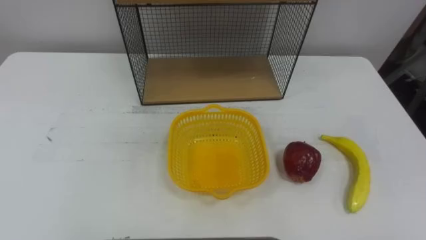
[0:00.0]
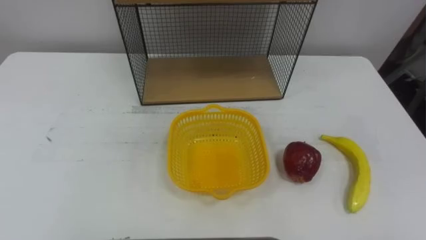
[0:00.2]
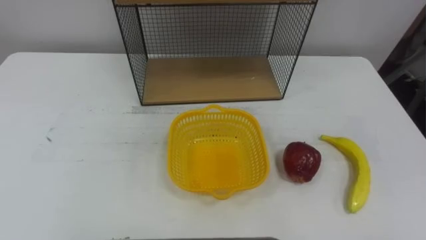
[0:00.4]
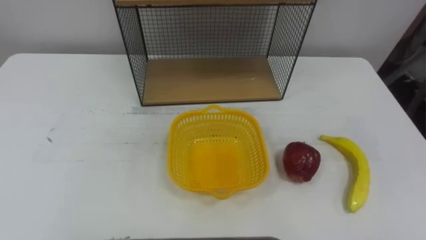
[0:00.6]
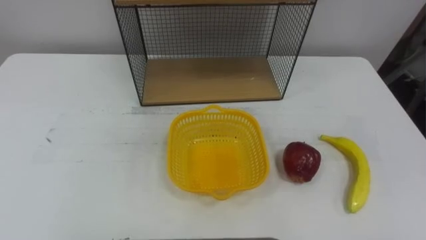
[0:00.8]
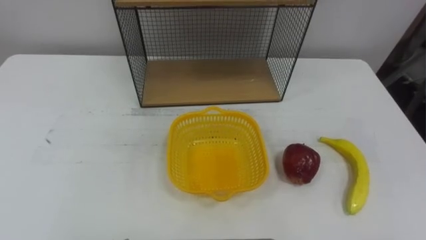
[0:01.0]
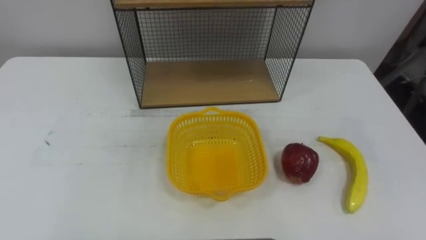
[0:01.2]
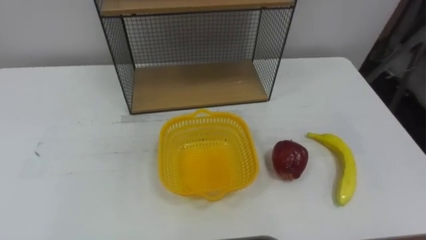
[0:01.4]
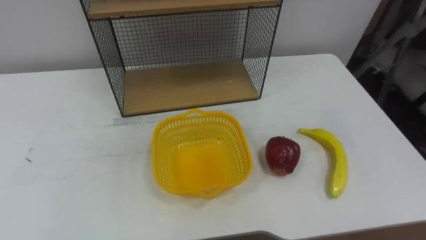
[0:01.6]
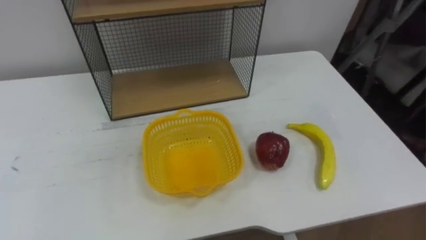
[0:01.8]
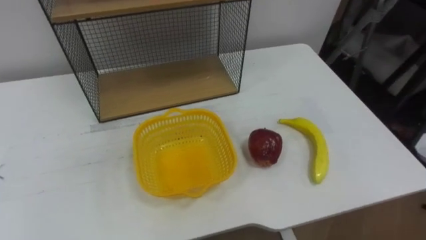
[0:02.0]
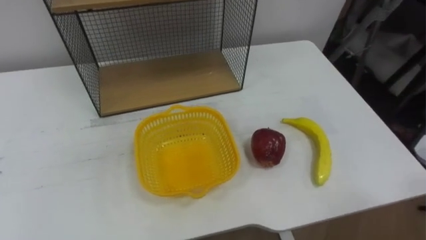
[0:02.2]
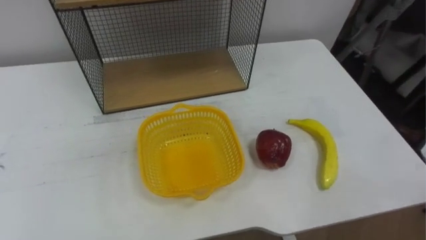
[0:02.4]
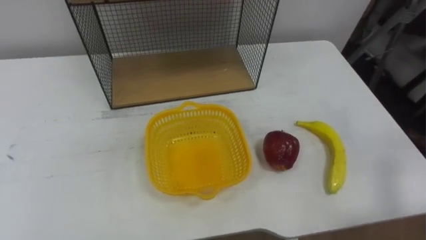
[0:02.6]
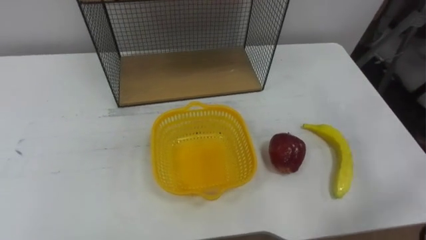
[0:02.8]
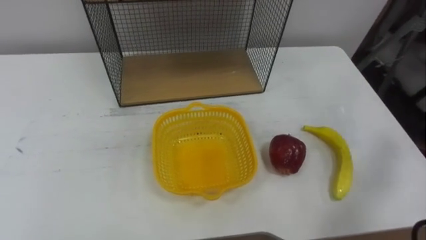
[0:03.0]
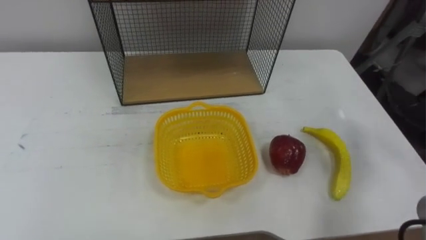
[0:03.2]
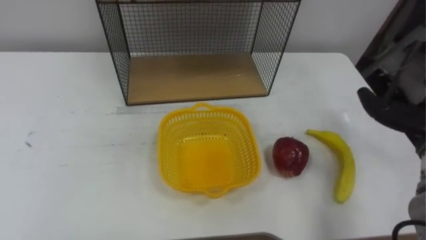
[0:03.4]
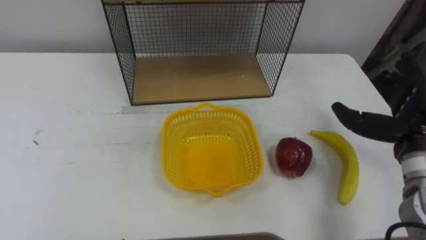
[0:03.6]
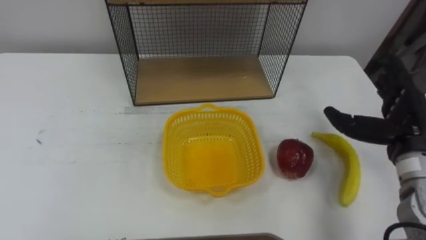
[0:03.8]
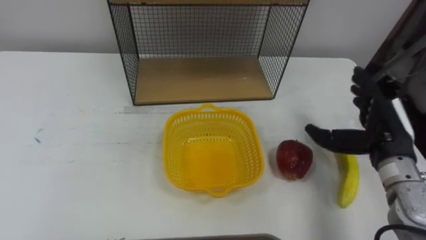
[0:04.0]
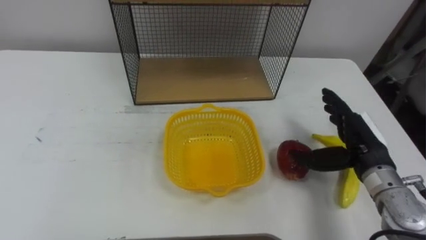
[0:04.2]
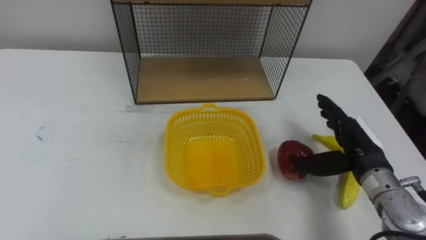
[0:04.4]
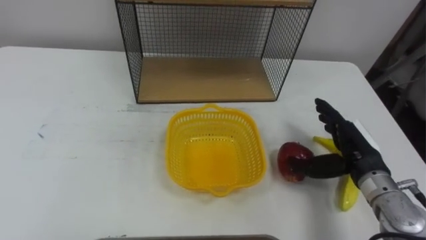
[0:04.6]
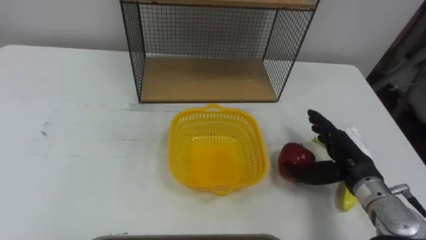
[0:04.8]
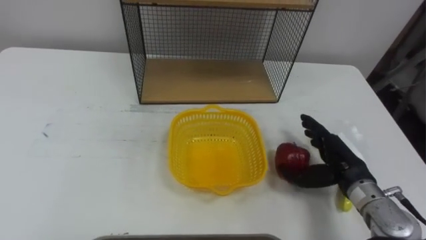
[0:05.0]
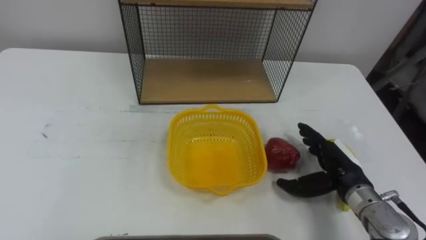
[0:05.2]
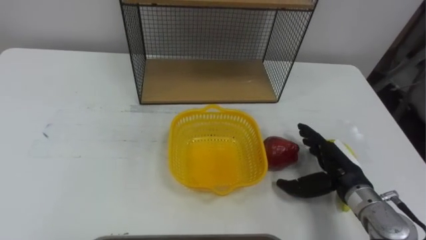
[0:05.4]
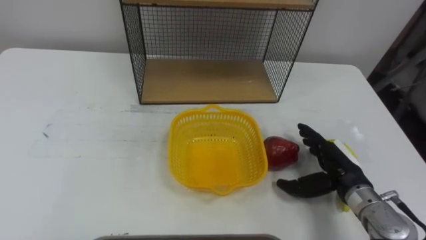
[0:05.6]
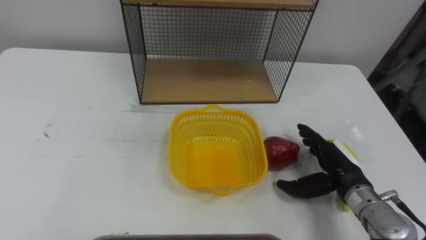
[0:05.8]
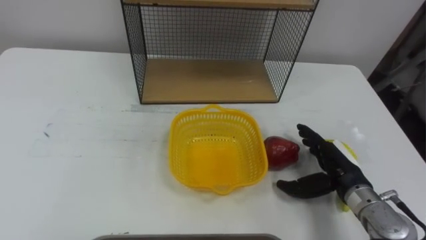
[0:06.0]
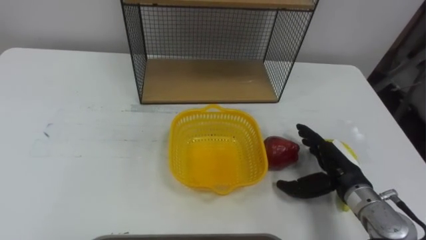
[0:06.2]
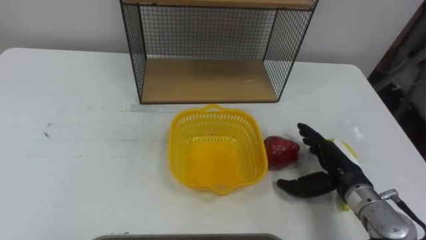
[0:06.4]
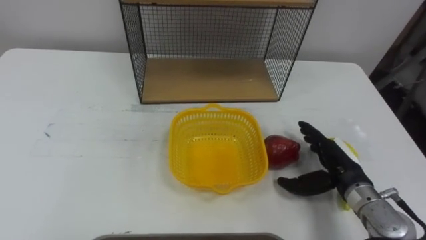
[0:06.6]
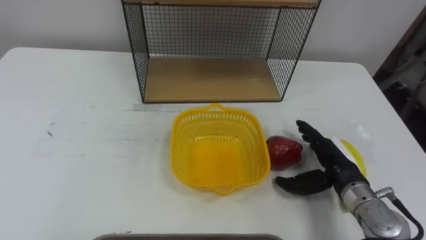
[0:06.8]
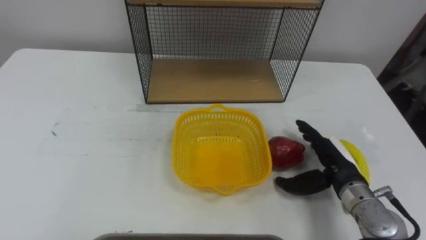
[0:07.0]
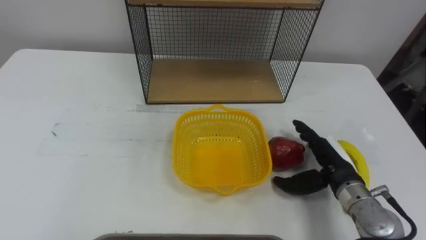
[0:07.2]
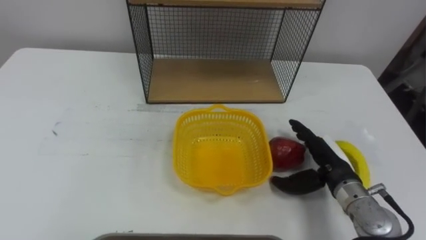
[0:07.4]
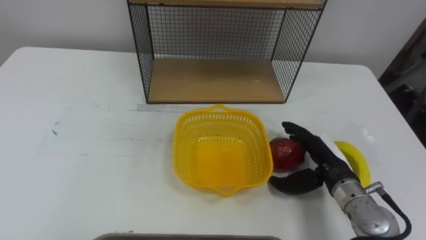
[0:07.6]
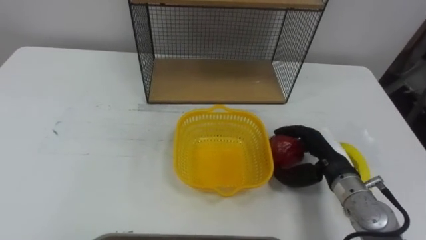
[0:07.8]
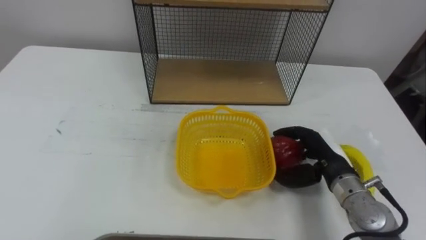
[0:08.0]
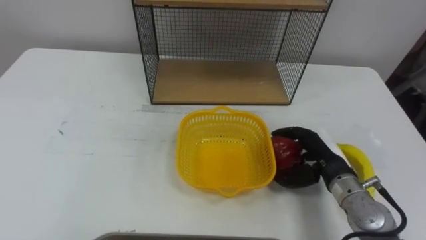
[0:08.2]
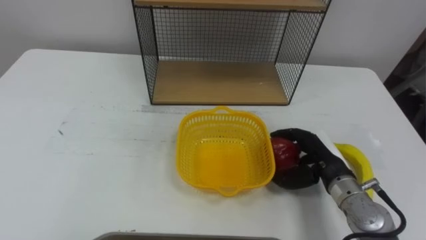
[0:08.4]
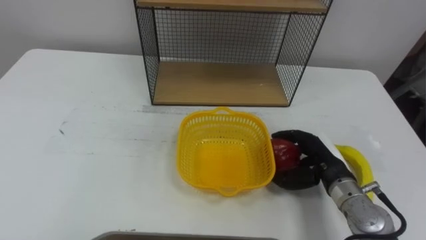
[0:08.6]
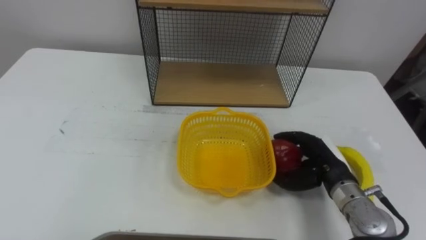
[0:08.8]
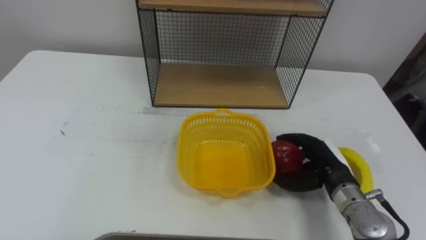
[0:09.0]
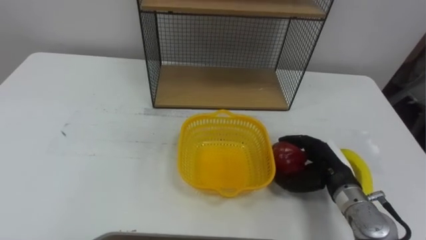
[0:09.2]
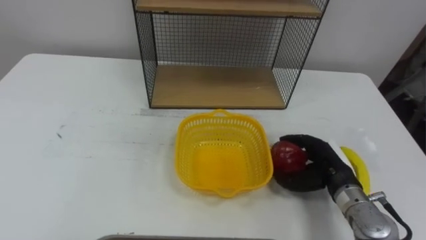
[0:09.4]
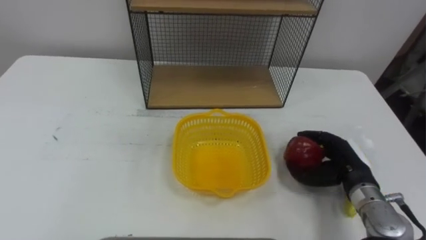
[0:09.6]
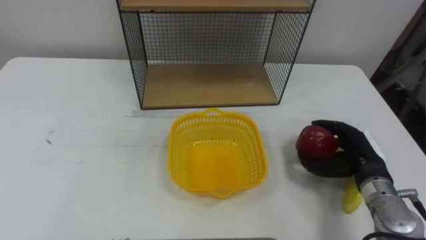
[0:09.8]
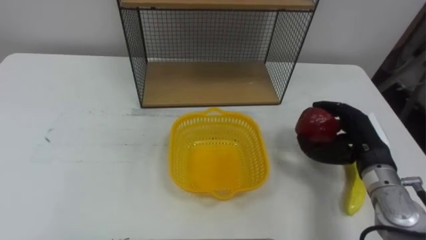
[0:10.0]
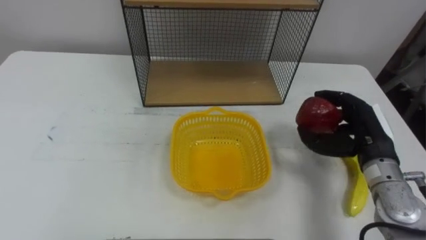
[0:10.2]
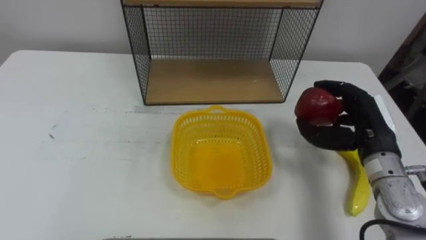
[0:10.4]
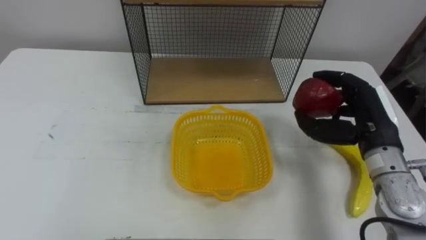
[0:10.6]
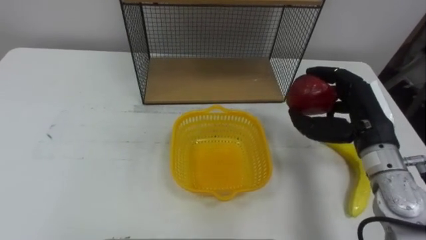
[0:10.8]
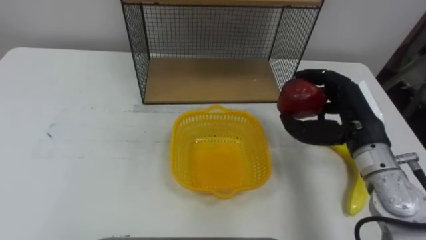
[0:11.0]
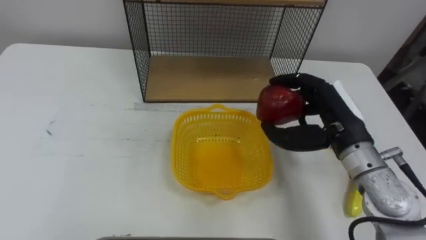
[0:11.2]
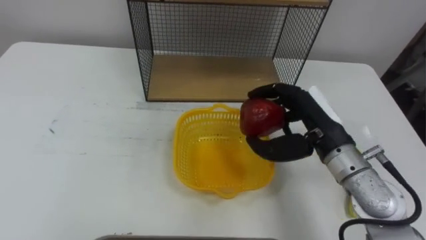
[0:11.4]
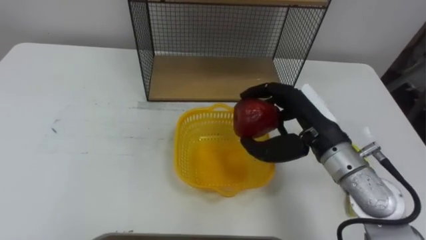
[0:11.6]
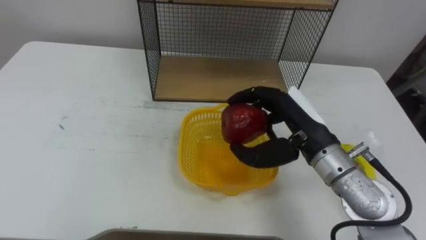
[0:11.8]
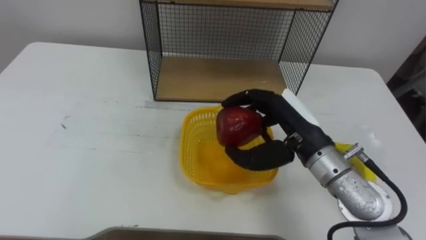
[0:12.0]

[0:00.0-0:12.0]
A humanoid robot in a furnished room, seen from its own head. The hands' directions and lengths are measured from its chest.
Task of the whole recording: Put the fruit on the table into the basket, then place the basket on the shelf.
0:04.4 to 0:06.0: The right hand moves downward, roughly 5 cm.
0:07.6 to 0:09.0: The right hand closes its fingers.
0:09.0 to 0:10.4: The right hand moves upward, approximately 10 cm.
0:10.4 to 0:12.0: The right hand is displaced to the left by some 15 cm.

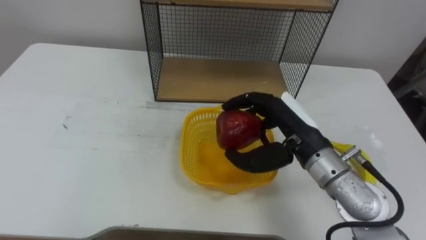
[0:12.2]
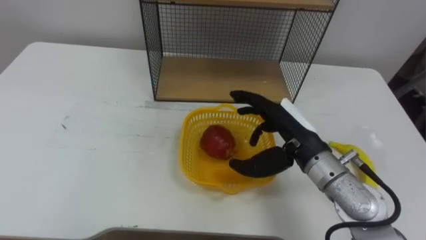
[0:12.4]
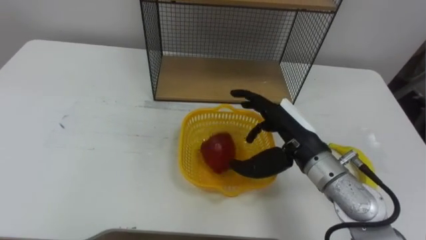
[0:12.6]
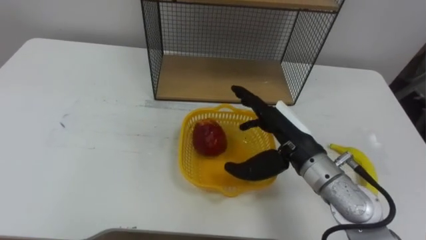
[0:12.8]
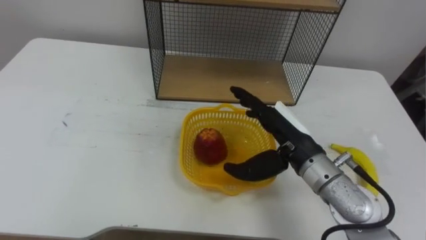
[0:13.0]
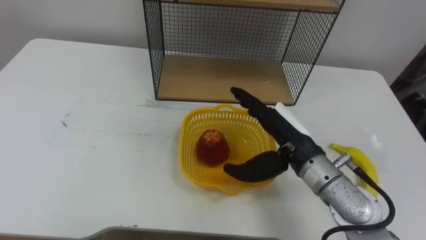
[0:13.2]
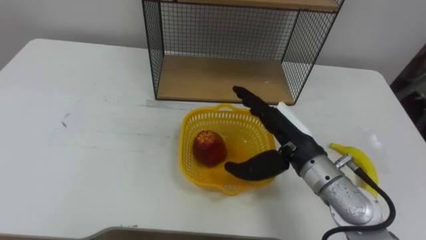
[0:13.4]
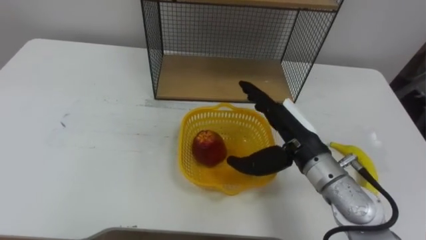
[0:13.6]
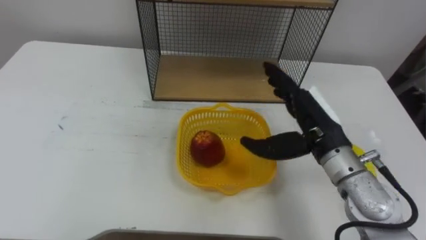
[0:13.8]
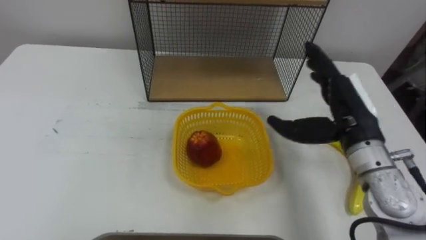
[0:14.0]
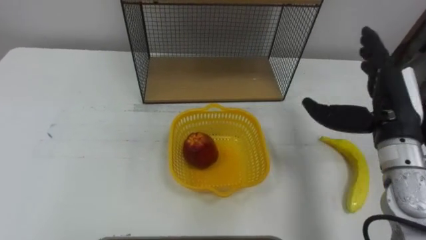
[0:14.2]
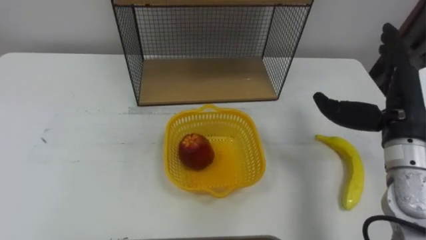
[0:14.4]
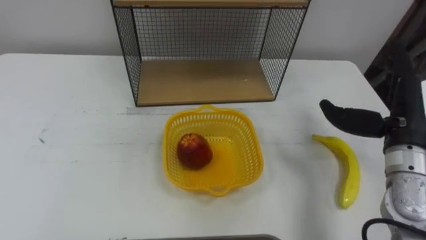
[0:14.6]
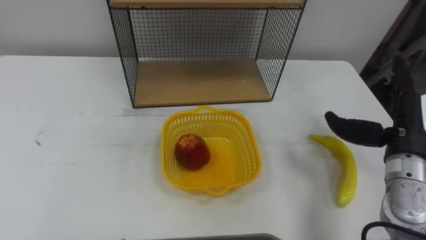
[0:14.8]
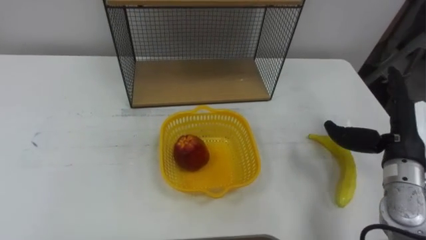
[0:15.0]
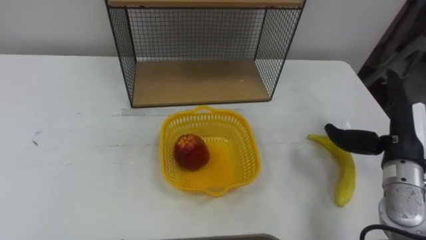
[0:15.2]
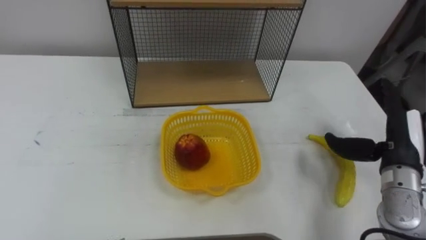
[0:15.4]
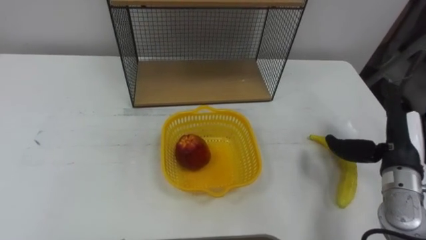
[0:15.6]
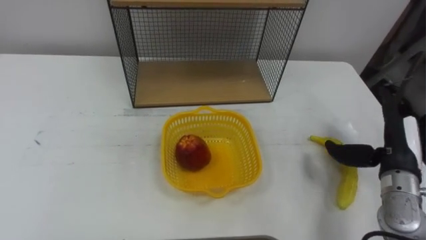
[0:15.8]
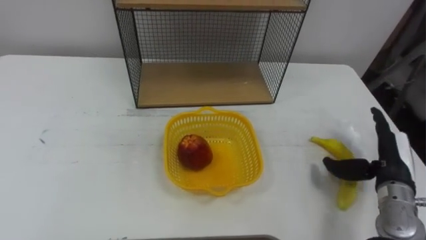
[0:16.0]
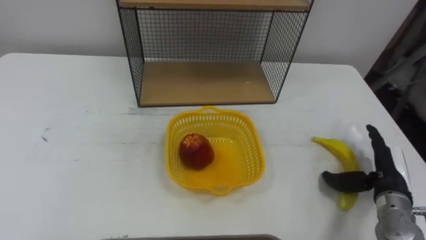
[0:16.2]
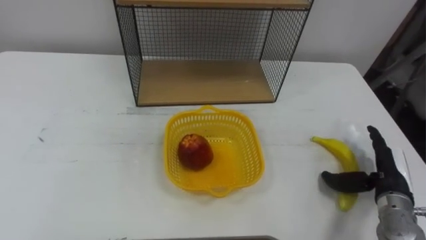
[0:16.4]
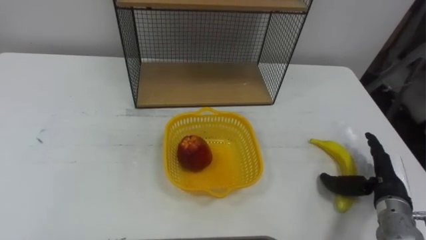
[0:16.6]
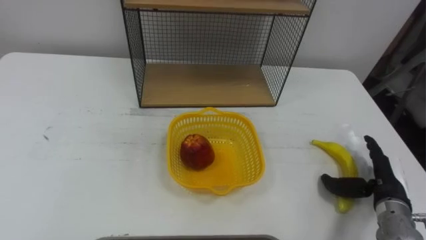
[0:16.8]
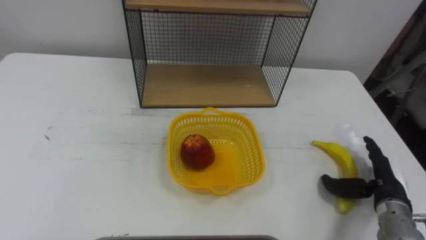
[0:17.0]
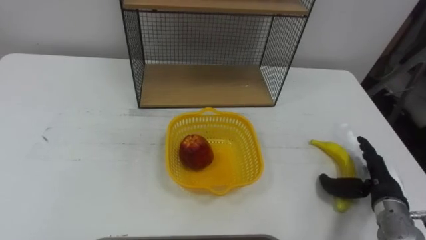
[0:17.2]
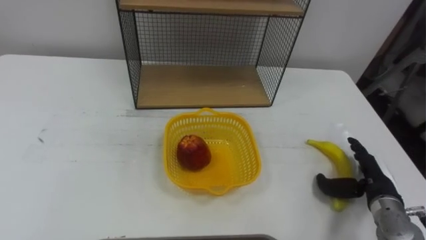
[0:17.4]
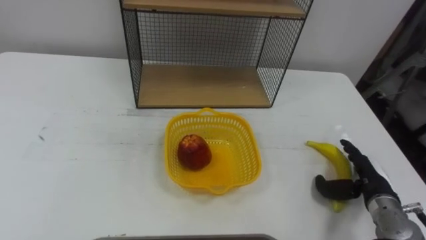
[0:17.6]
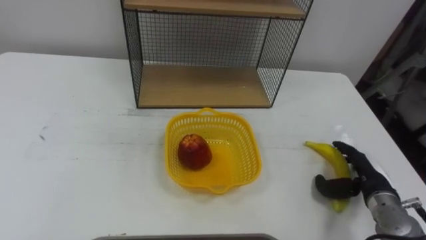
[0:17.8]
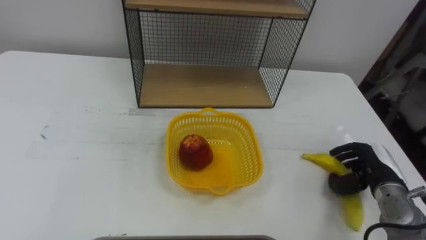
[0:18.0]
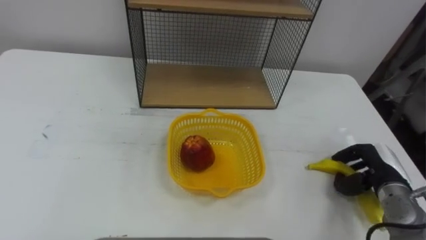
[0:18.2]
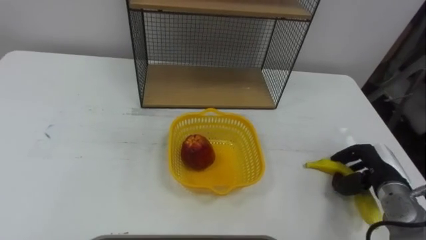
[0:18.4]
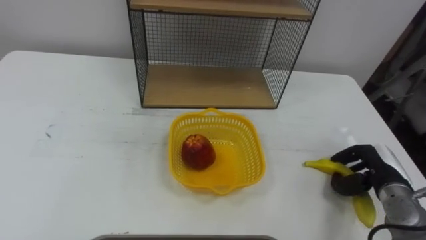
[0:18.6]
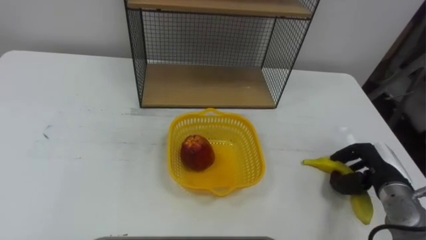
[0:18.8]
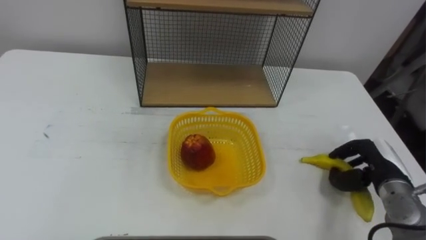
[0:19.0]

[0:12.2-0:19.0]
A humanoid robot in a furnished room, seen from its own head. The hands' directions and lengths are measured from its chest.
Task of the whole recording: Put the fruit on the table into the basket, then place the basket on the shelf.
0:12.2 to 0:13.6: The right hand opens.
0:13.6 to 0:15.0: The right hand travels to the right by about 15 cm.
0:15.0 to 0:16.2: The right hand travels downward by approximately 10 cm.
0:17.6 to 0:19.0: The right hand closes its fingers.
